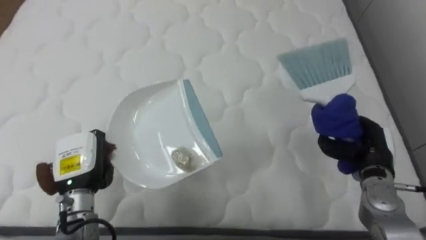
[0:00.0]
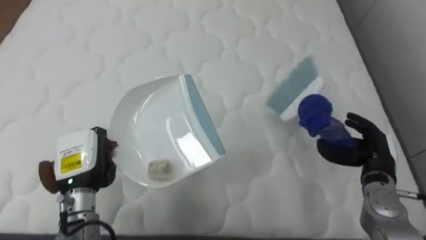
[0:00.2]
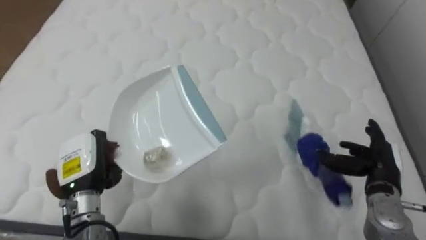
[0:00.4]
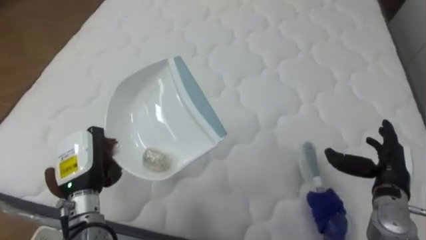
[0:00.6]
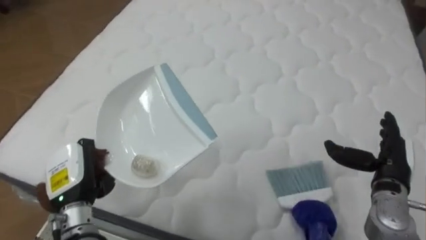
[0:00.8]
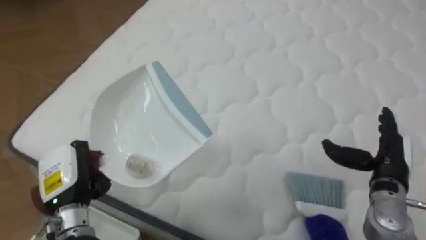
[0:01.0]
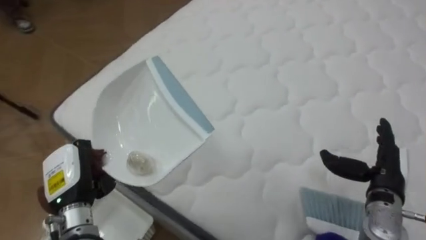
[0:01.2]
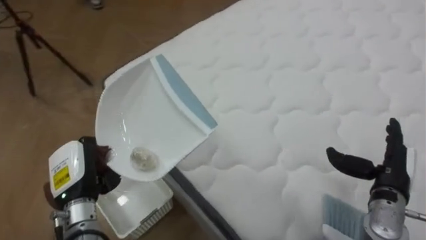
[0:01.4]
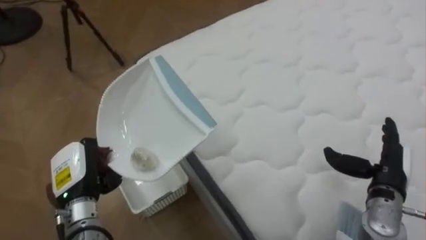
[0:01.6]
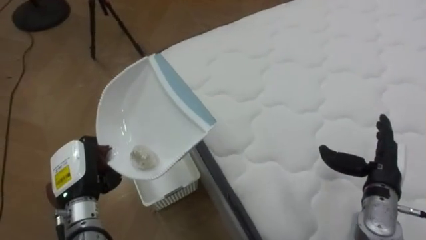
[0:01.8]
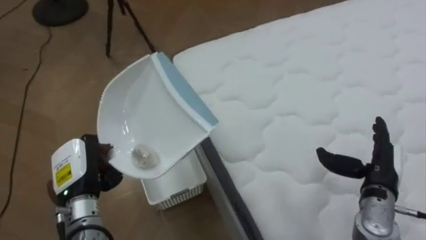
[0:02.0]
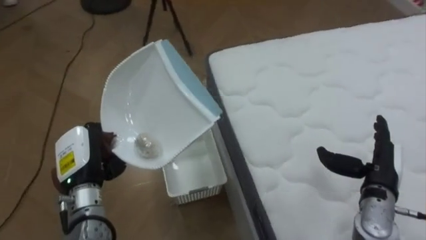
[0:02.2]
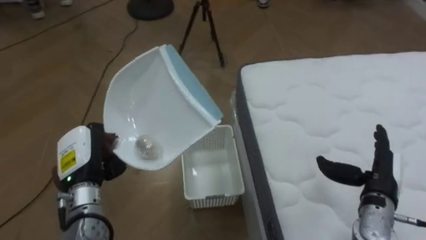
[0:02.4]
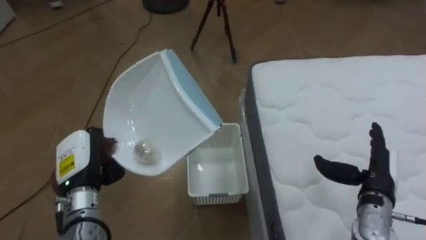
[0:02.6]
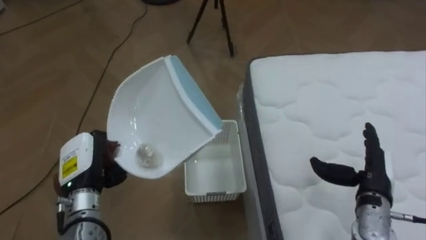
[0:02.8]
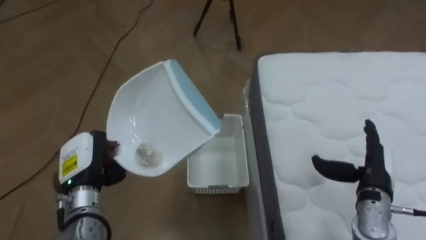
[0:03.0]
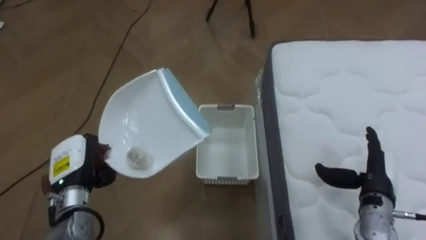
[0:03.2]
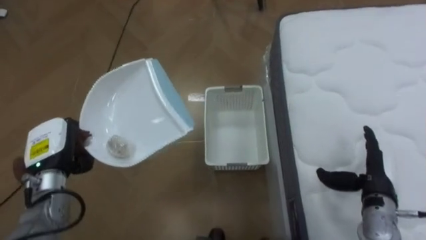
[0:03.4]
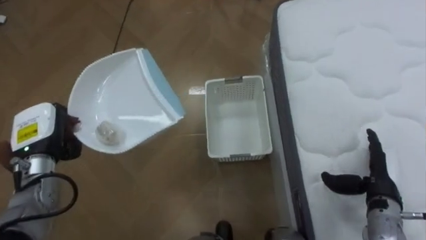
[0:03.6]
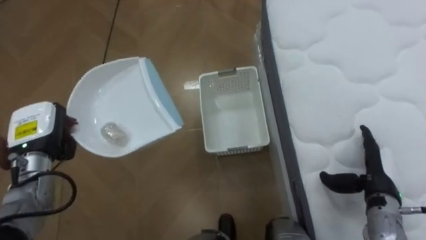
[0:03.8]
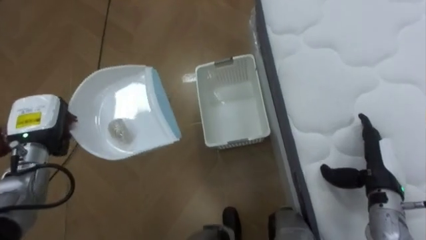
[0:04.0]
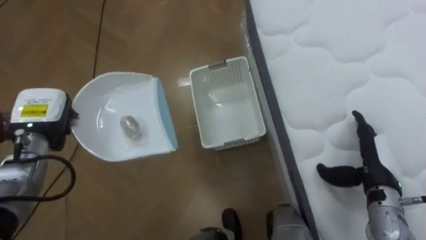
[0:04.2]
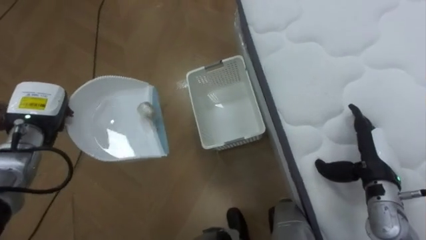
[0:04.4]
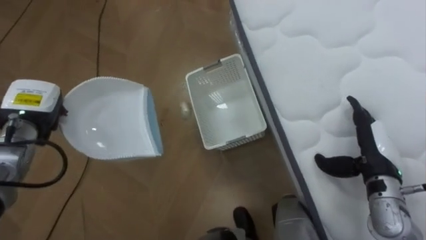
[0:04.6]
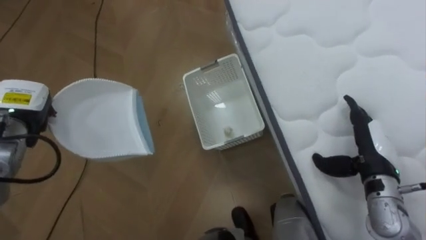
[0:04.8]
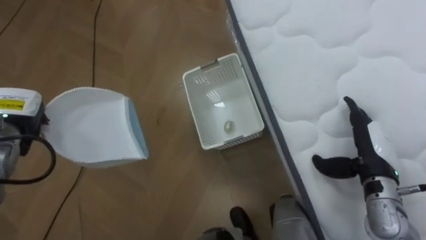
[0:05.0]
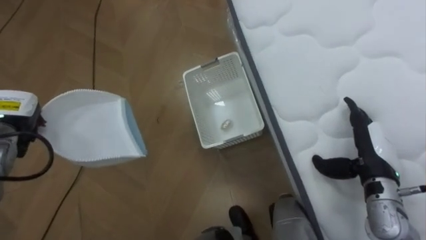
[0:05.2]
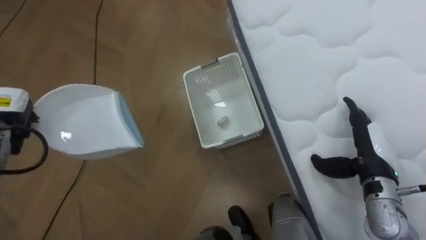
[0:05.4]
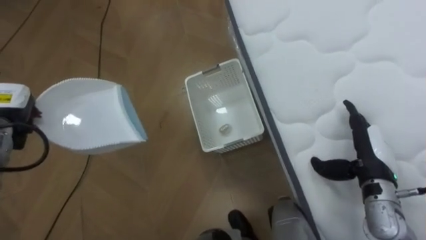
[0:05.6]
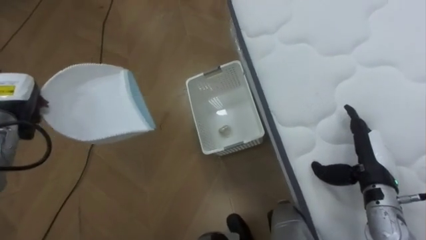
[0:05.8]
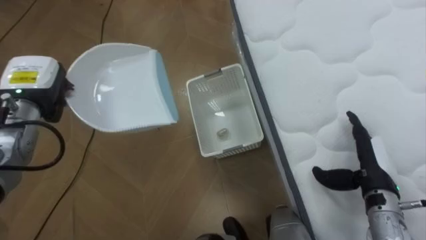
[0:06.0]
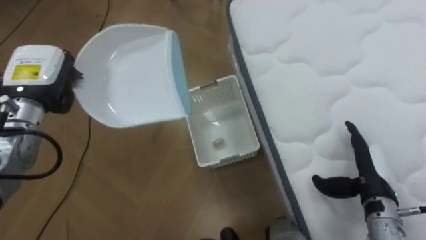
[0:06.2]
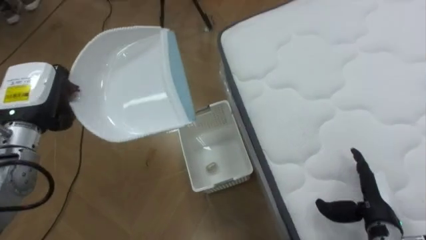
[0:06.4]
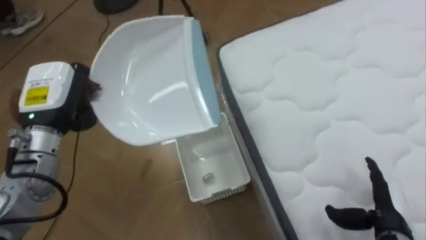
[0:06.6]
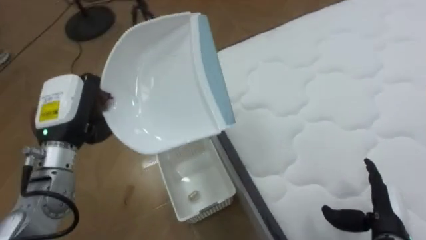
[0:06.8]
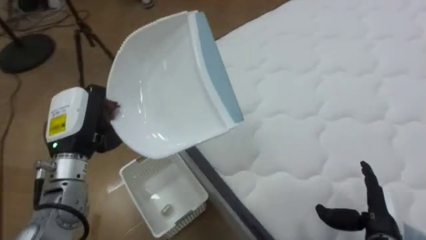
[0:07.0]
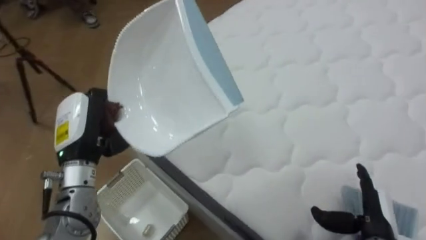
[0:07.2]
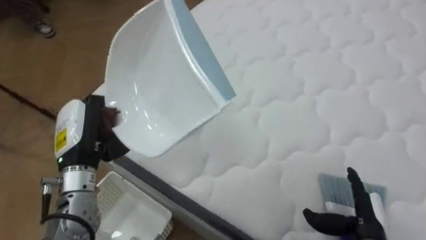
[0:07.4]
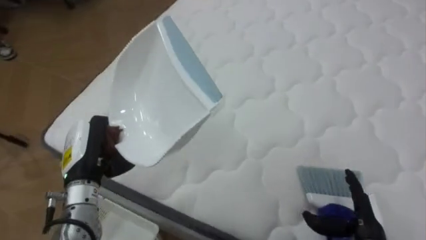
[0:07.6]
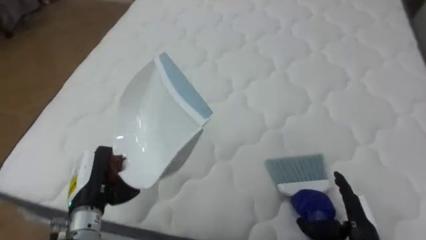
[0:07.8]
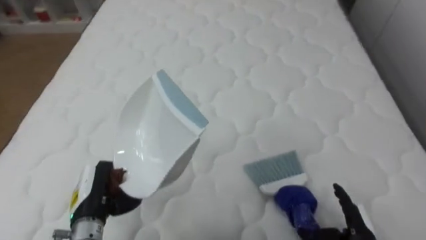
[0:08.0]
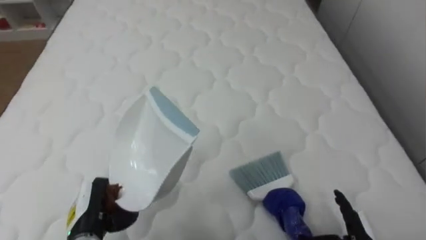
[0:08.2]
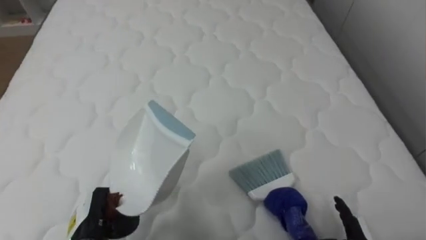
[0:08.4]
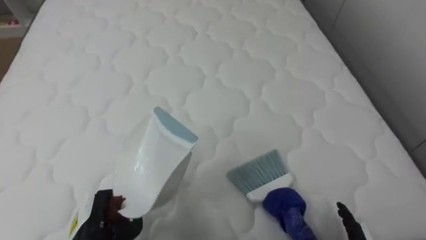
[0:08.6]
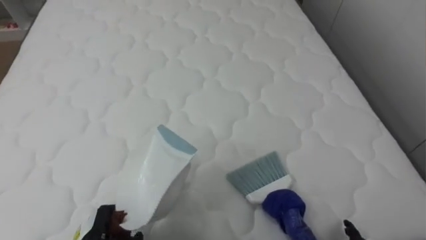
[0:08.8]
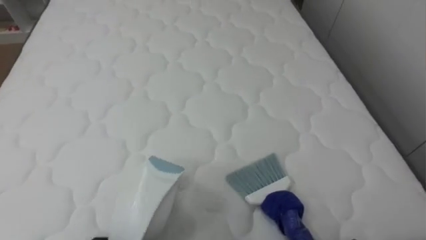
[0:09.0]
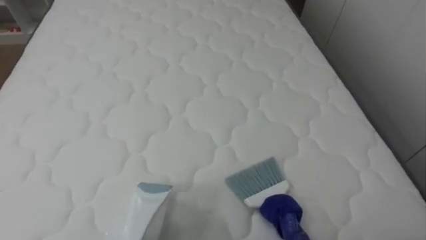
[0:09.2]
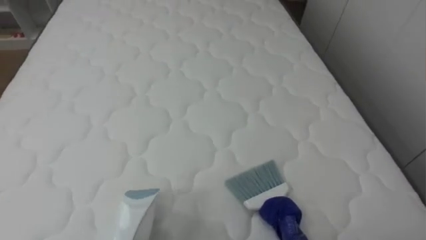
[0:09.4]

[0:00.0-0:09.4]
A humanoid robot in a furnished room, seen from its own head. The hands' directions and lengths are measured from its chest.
Task of the whole recording: Pick up the brush on your right and the dustpan on your left. Use the brush to sweep the crumpled paper on the bed into the dustpan, then turn left and empty it into the basket.
0:00.0 to 0:01.6: The robot faces about 55 degrees further to its left. The right hand opens up.
0:01.6 to 0:03.2: The robot turns to its left by about 40 degrees.
0:03.2 to 0:04.8: The right hand moves about 5 cm, while the left hand moves to the left, forward and upward, roughly 15 cm.
0:04.8 to 0:06.2: The left hand shifts approximately 10 cm upward and to the right.
0:06.2 to 0:07.8: The robot rotates some 75 degrees to its right. The left hand moves backward, downward and to the right, some 20 cm. Meanwhile the right hand travels backward and downward by roughly 10 cm.
0:07.8 to 0:09.4: The robot turns to its right by some 20 degrees.

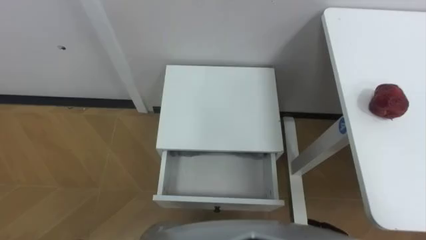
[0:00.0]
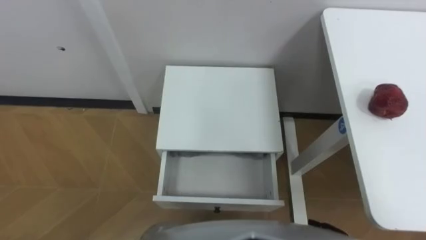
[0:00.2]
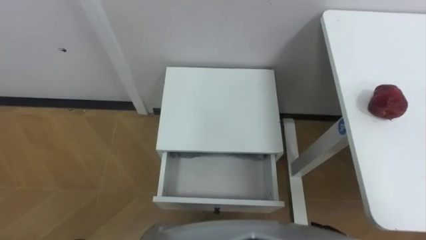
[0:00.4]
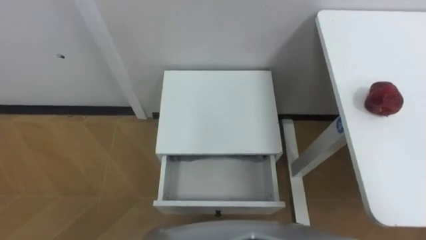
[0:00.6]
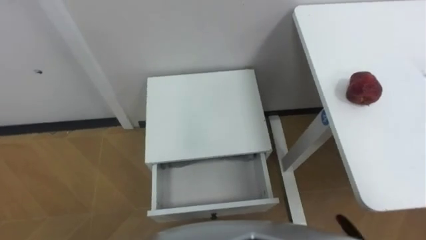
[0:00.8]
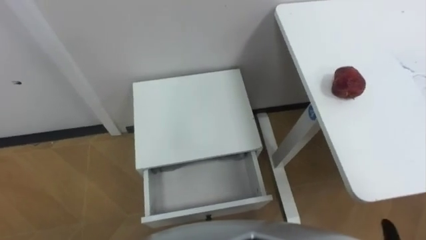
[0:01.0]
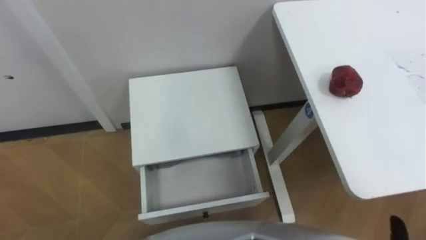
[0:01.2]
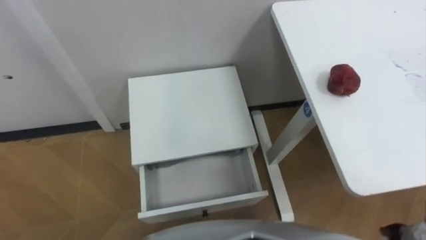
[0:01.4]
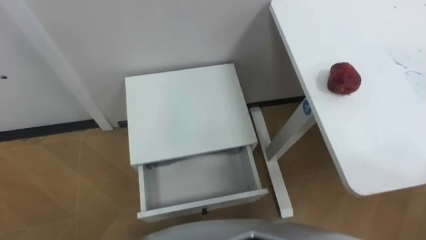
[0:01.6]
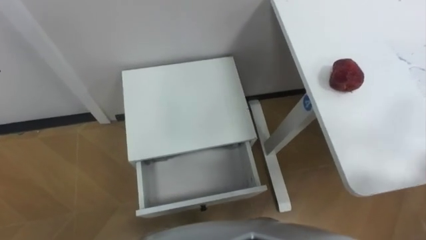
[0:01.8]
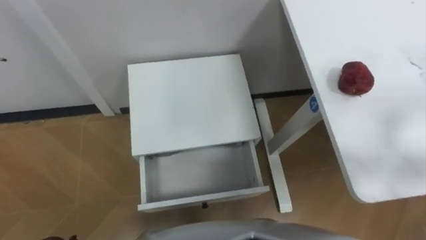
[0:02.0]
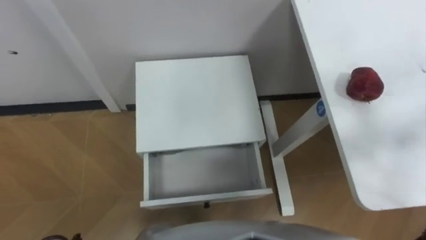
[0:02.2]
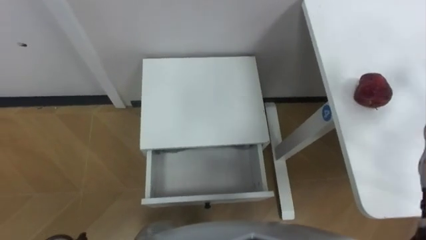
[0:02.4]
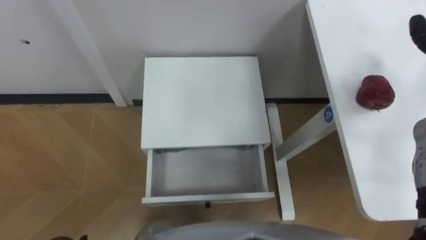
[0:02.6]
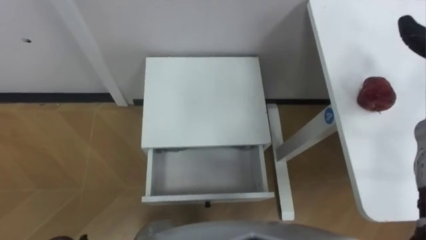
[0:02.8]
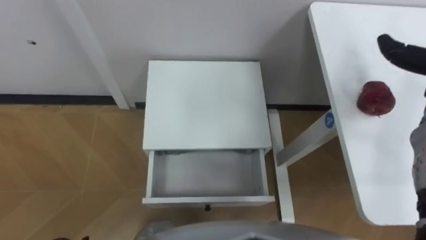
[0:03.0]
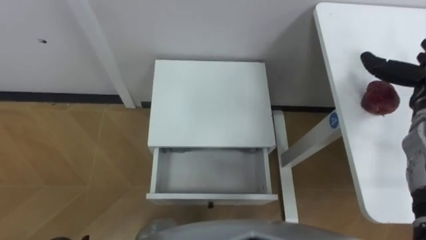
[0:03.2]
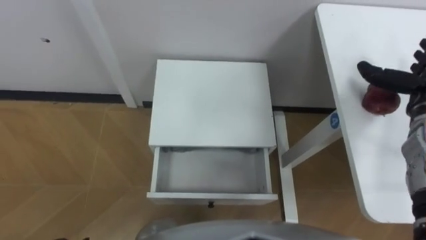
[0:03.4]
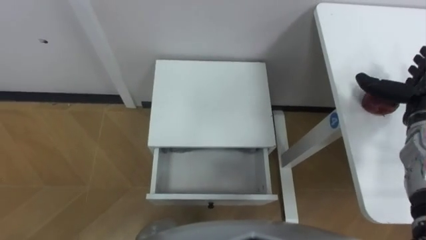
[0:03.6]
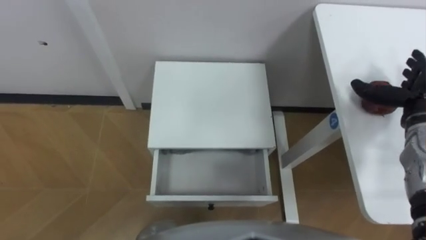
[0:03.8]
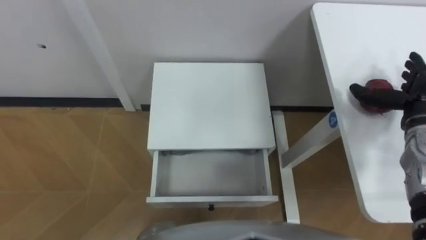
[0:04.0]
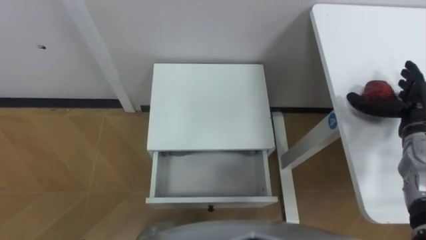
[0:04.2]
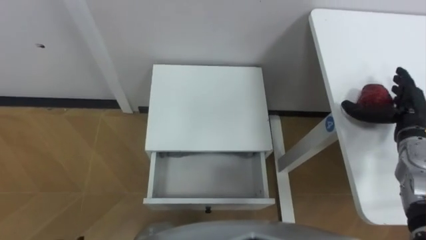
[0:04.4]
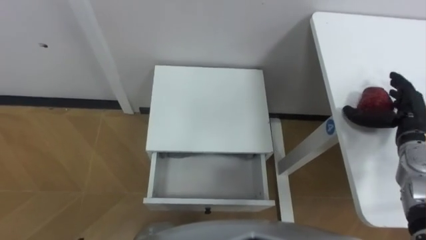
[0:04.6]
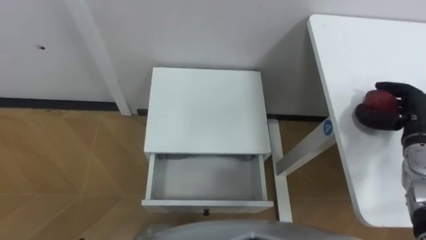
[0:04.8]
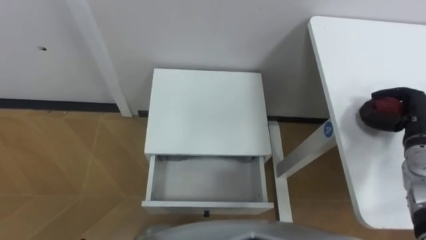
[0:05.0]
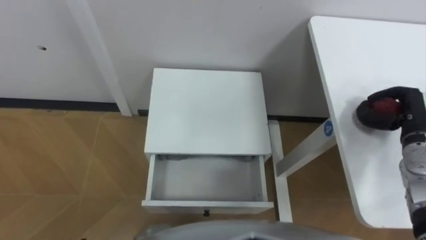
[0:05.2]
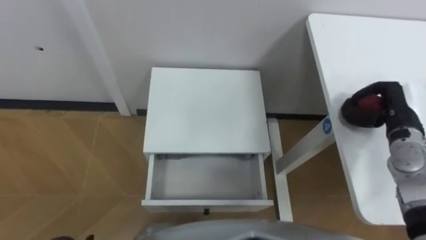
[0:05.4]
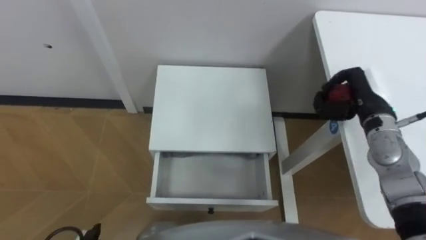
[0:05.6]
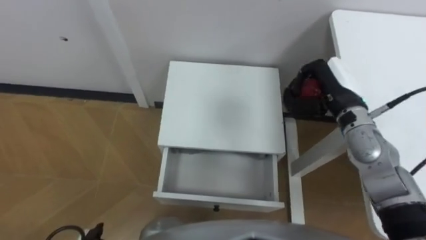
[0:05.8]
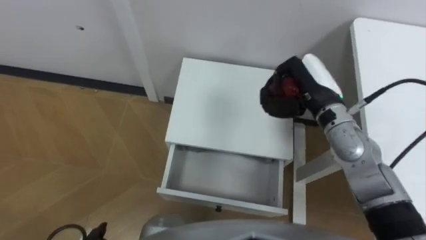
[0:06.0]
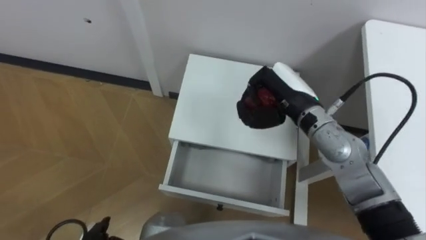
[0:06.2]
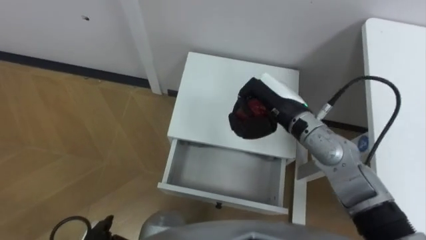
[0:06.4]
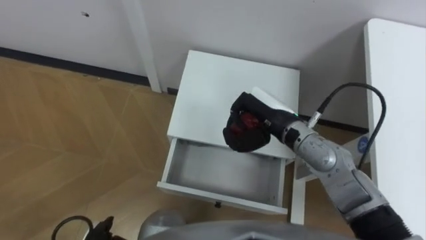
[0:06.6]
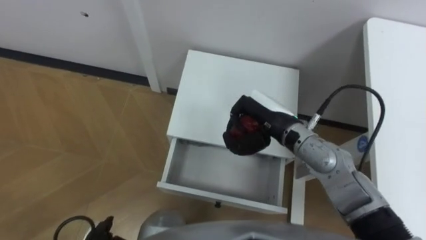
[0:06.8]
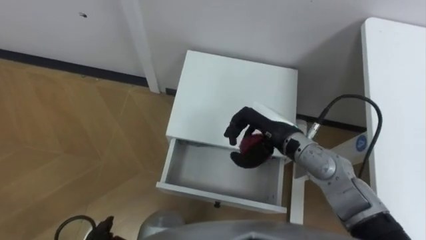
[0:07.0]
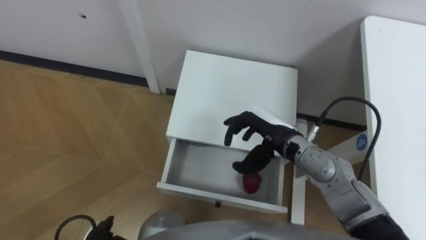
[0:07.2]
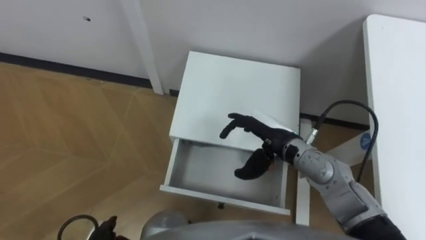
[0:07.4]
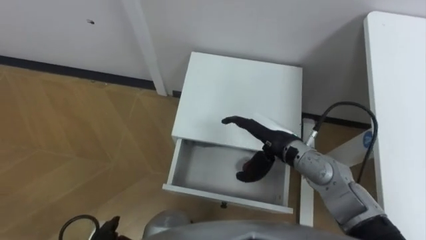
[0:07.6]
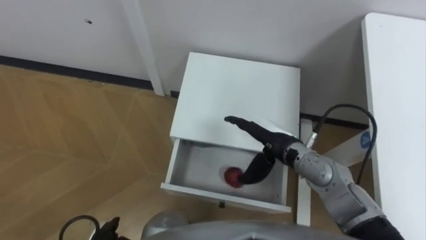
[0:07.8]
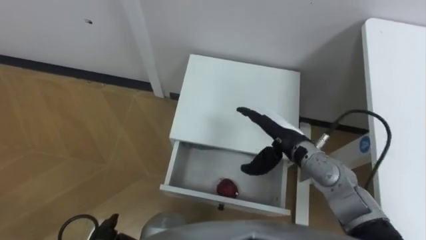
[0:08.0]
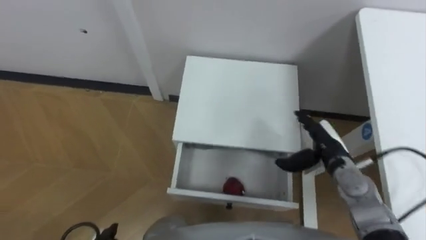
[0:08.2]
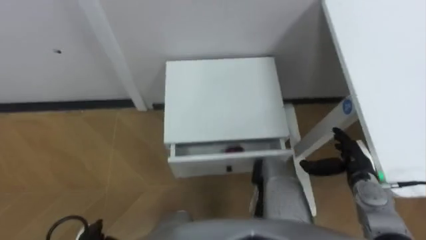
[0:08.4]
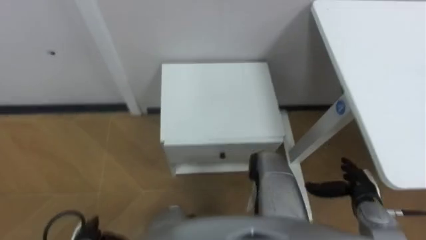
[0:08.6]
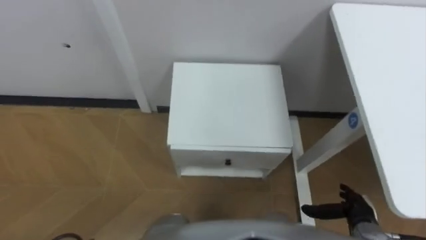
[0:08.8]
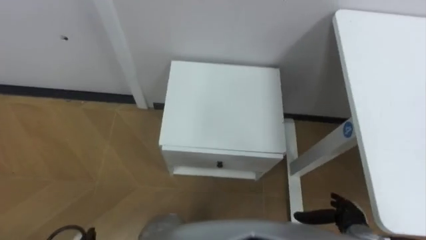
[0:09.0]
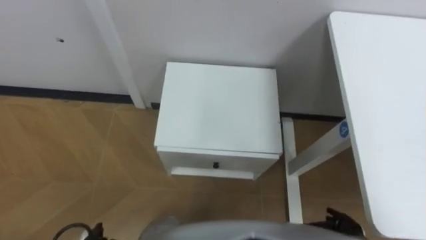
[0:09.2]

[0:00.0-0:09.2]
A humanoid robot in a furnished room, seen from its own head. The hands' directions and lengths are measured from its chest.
Task of the whole recording: Pick up the apple from the table, put it in the drawer, and close the drawer with leg.
0:04.6 to 0:06.2: The right hand is displaced to the left by about 25 cm, and closes up.
0:06.2 to 0:07.6: The right hand moves downward and backward, some 10 cm, and opens.
0:07.6 to 0:09.2: The right hand shifts roughly 30 cm backward, to the right and downward.
